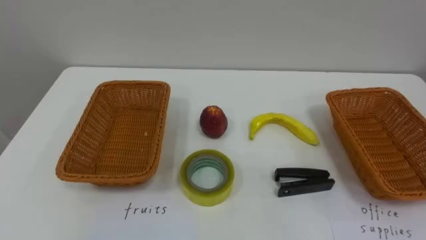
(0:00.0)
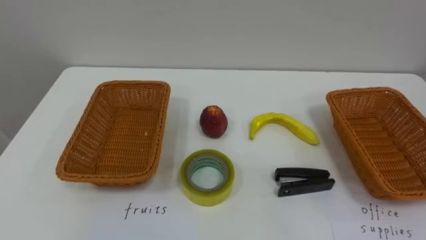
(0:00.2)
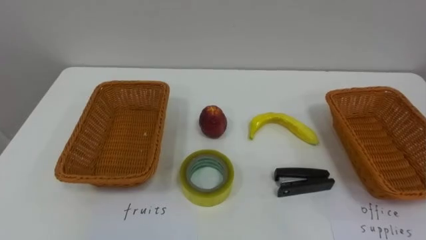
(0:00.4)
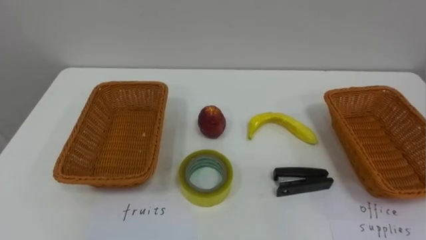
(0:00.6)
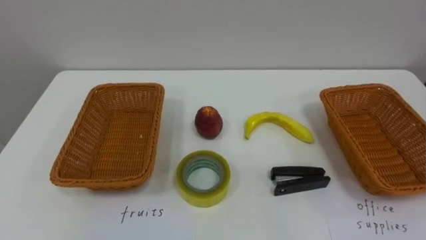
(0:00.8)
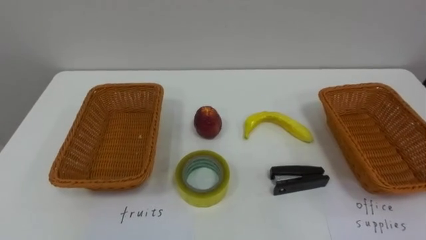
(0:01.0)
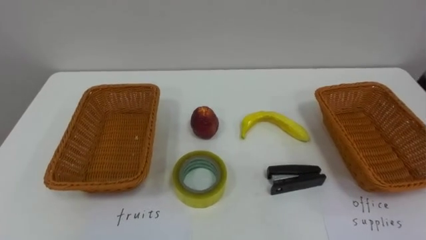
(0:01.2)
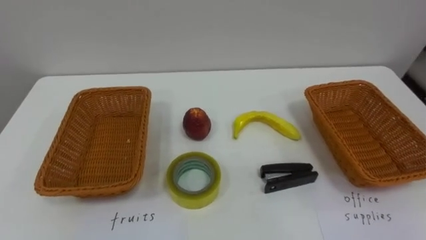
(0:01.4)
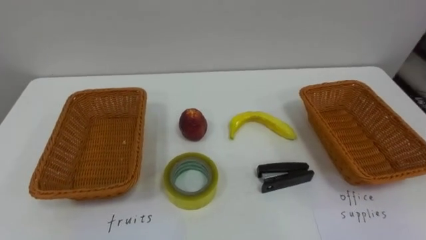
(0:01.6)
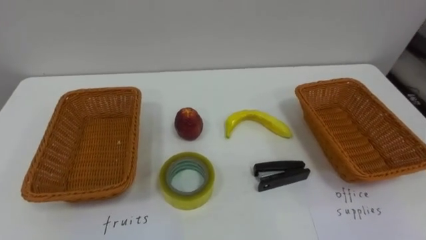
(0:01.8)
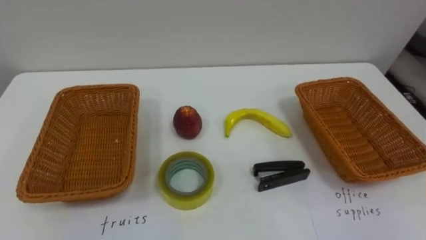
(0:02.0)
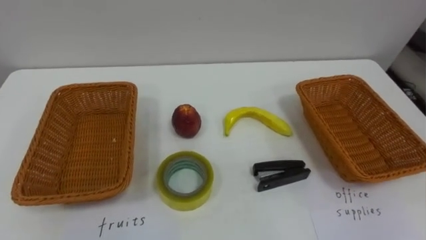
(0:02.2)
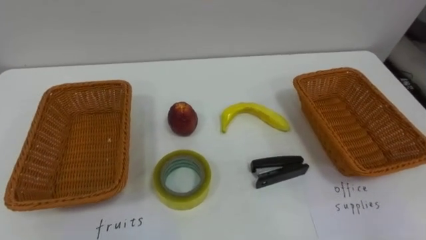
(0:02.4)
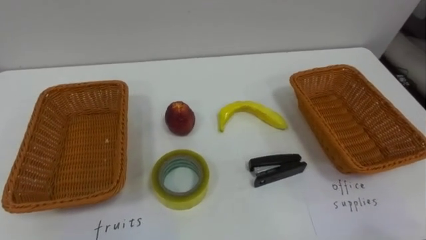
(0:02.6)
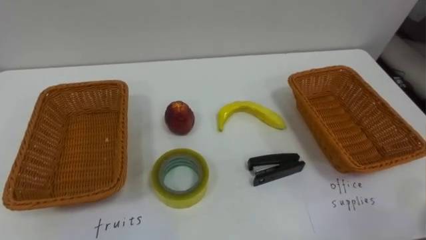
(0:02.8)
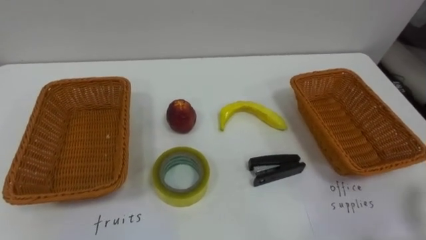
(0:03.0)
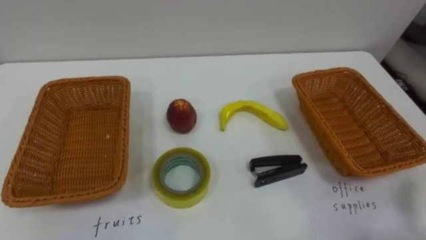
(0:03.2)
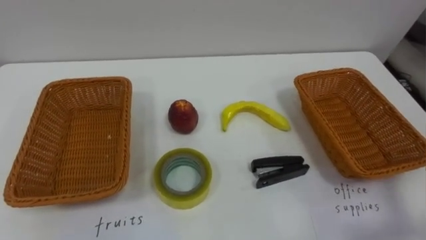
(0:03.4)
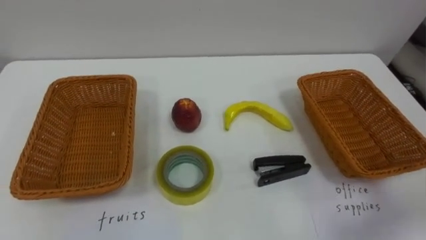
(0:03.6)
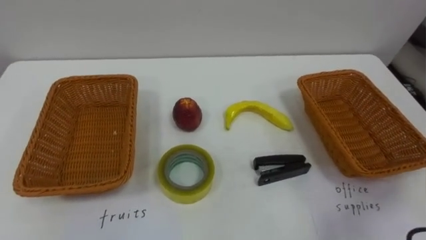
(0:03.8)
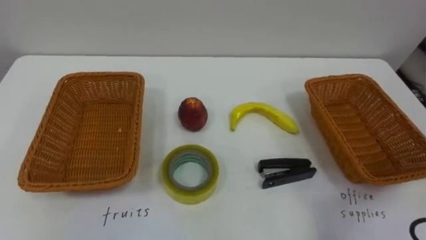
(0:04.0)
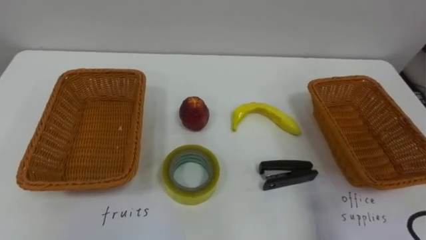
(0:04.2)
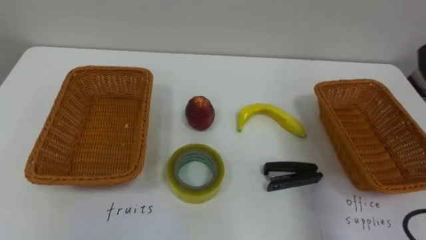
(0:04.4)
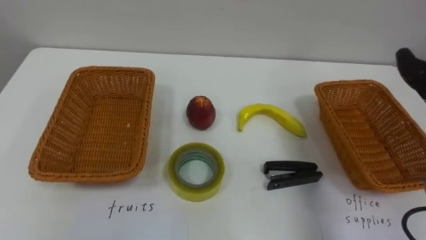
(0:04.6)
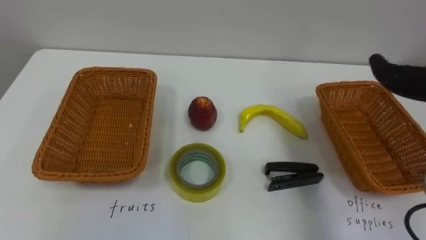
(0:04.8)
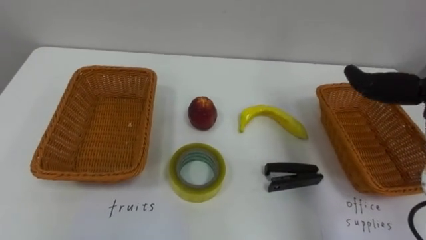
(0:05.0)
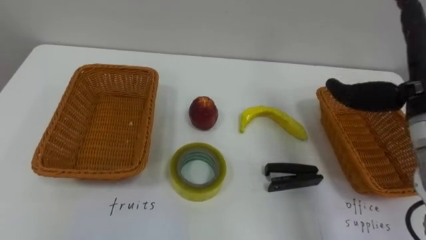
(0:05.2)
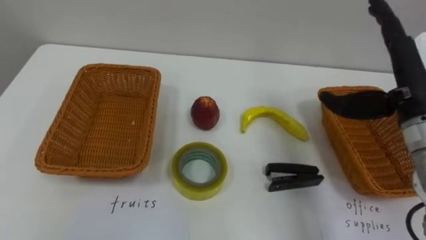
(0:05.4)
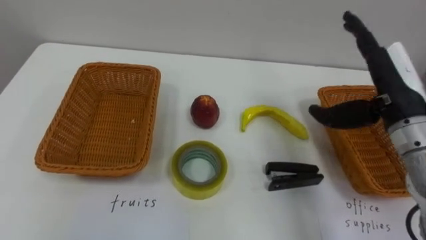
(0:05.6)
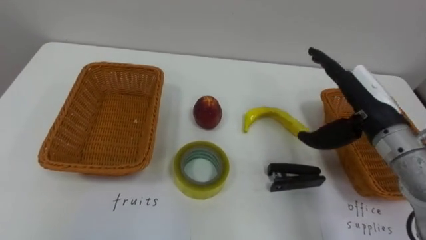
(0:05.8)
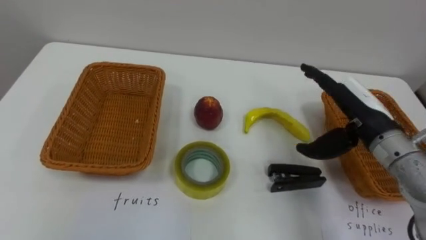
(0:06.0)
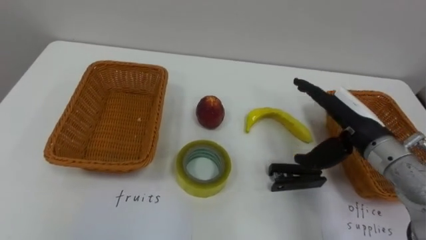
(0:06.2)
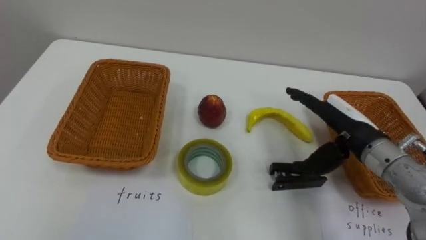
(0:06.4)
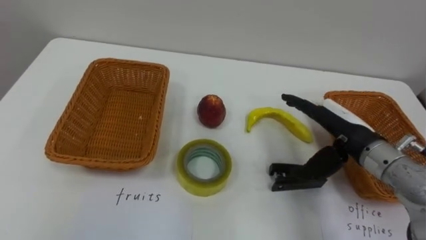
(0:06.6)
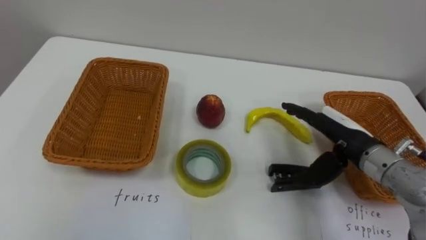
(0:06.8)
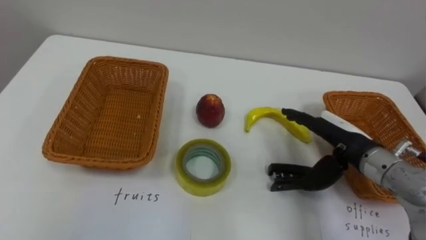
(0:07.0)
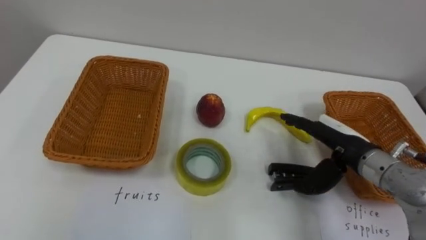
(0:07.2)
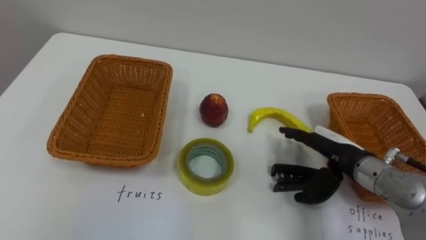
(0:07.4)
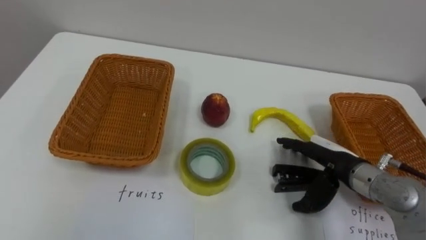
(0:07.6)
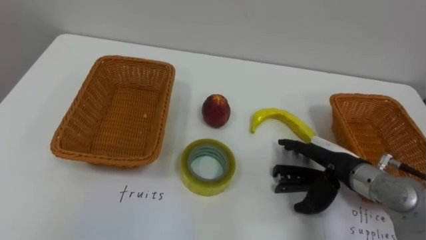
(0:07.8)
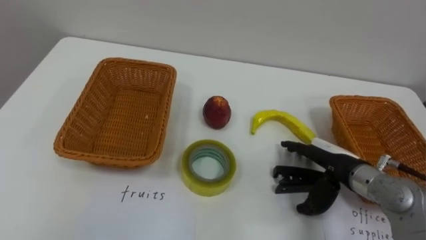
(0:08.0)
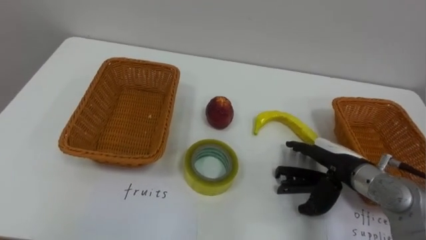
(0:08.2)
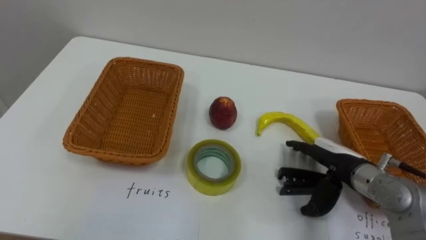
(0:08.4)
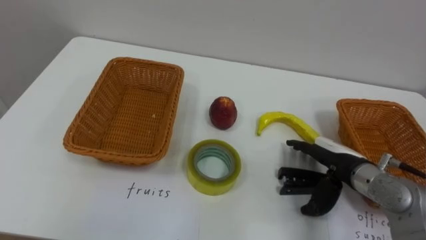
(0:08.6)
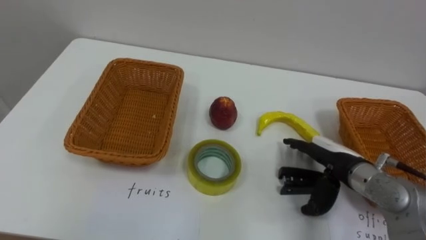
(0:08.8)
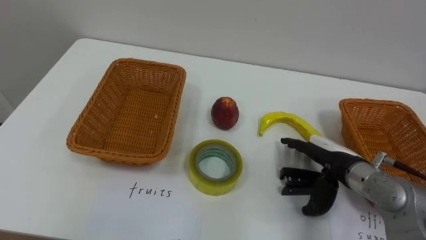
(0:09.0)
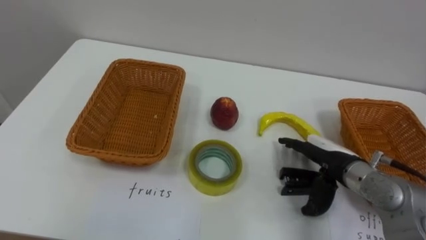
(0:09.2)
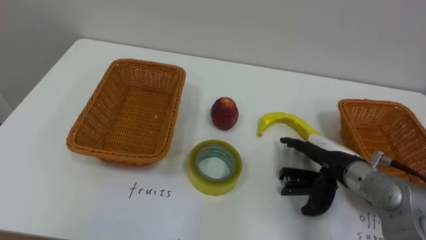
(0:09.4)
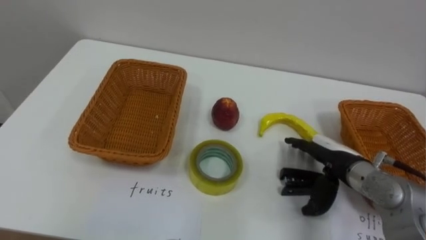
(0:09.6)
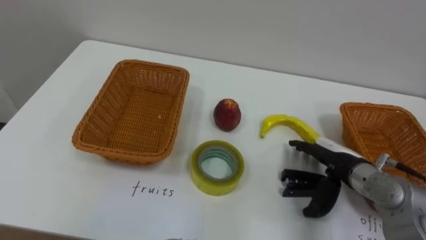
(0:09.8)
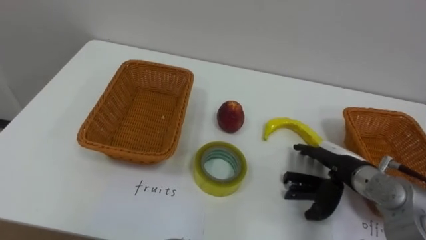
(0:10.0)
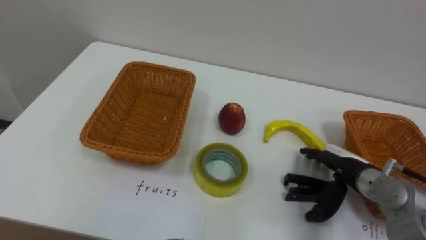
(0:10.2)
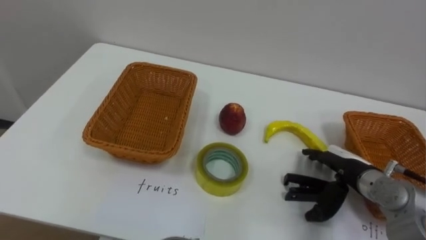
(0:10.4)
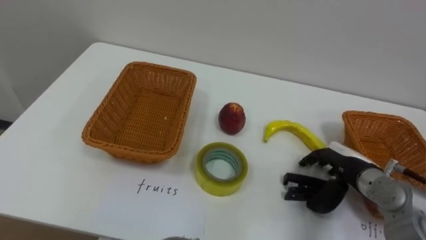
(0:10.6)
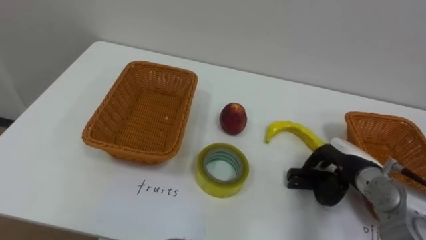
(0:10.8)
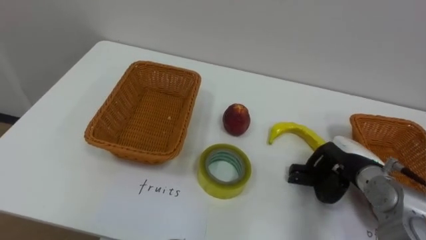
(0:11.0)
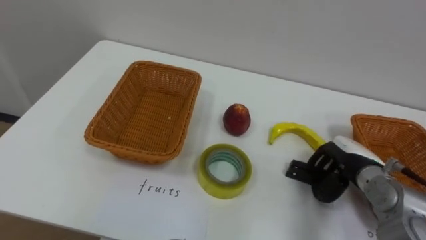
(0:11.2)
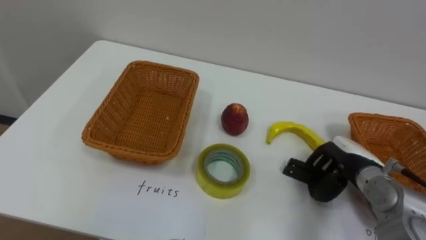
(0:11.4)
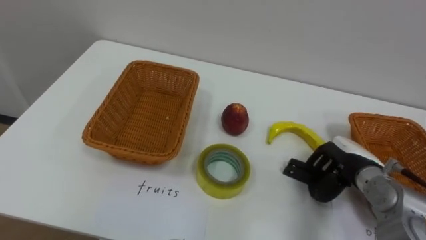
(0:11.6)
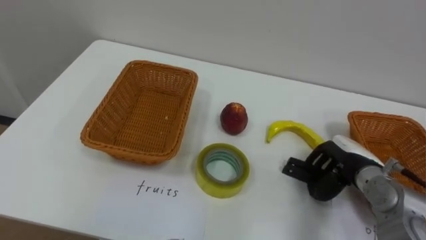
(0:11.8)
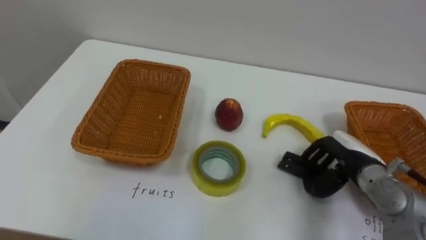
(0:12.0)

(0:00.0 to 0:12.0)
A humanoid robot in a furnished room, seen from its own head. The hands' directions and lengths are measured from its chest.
Task of the whole recording: Separate the items on the table and place them into the two baskets.
0:06.0 - 0:07.6: The right hand is displaced downward by roughly 10 cm.
0:09.0 - 0:10.4: The right hand moves some 5 cm.
0:10.4 - 0:12.0: The right hand closes.

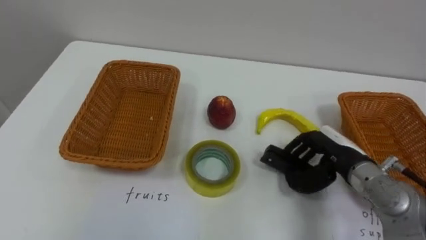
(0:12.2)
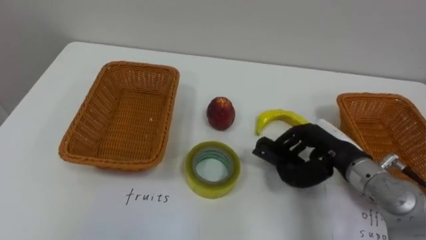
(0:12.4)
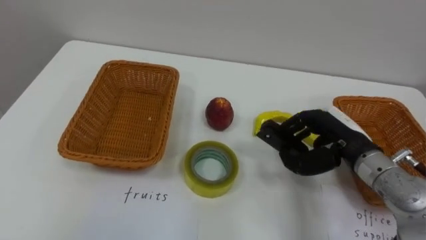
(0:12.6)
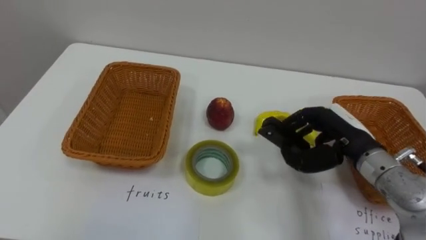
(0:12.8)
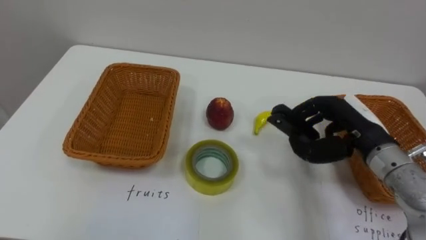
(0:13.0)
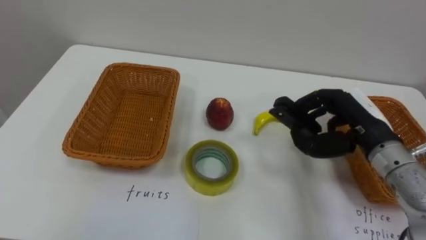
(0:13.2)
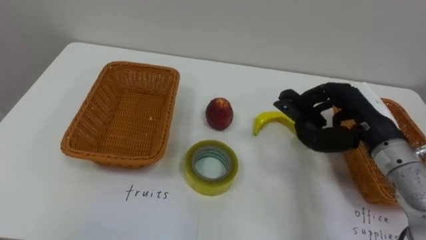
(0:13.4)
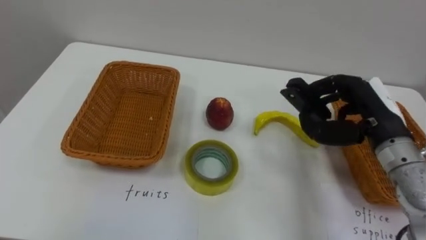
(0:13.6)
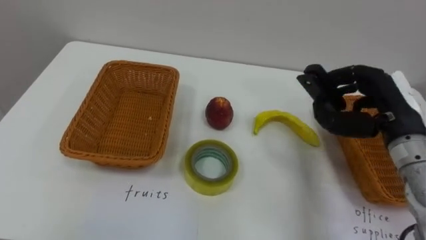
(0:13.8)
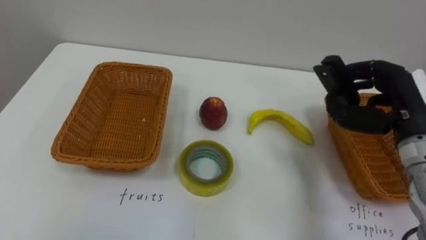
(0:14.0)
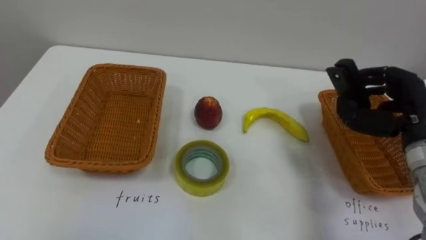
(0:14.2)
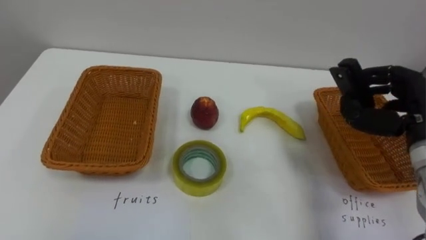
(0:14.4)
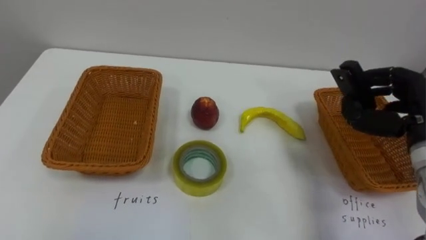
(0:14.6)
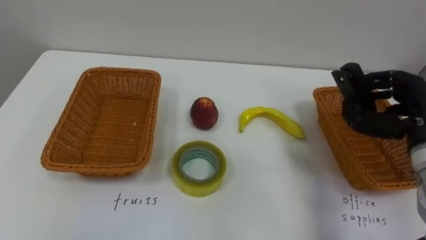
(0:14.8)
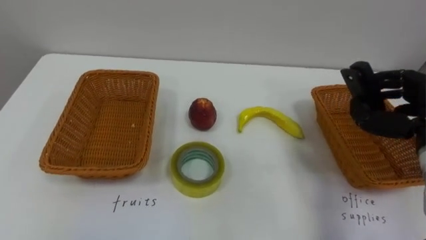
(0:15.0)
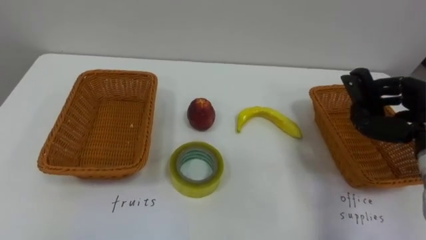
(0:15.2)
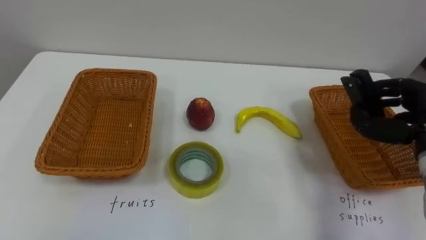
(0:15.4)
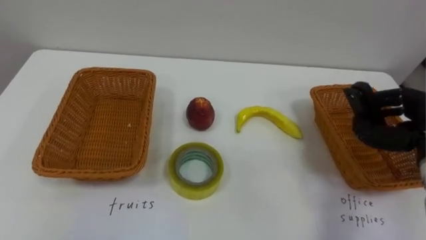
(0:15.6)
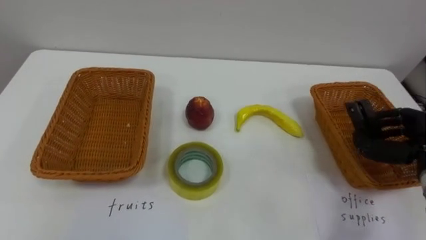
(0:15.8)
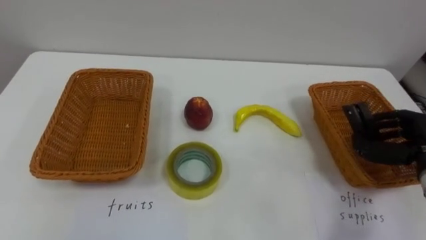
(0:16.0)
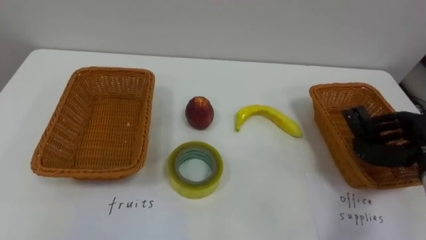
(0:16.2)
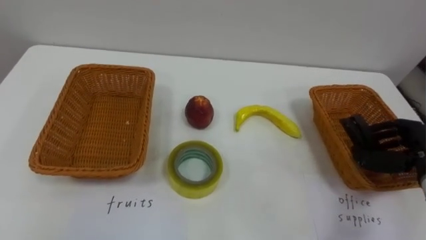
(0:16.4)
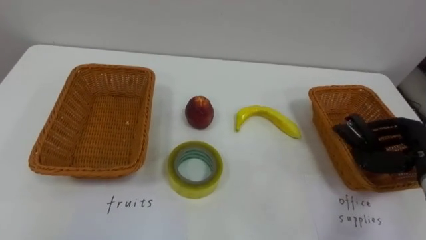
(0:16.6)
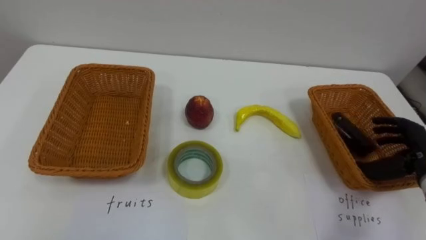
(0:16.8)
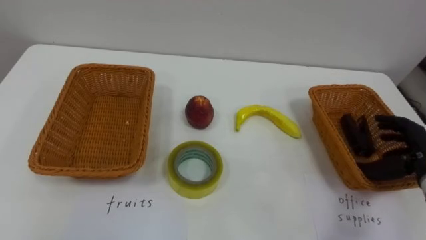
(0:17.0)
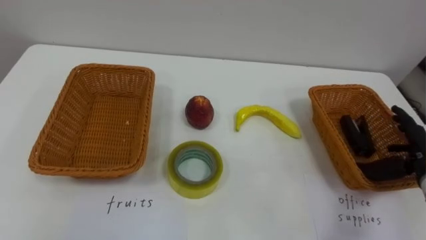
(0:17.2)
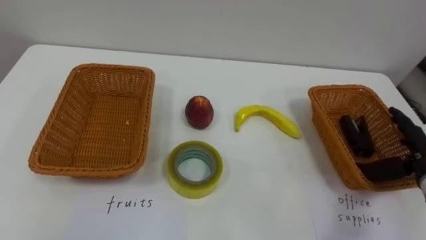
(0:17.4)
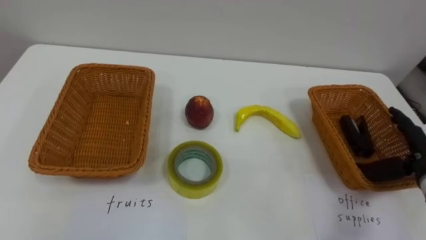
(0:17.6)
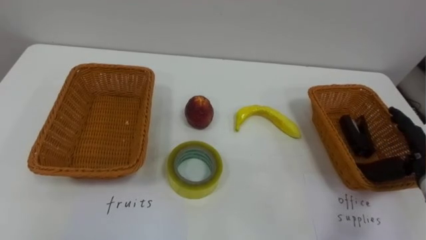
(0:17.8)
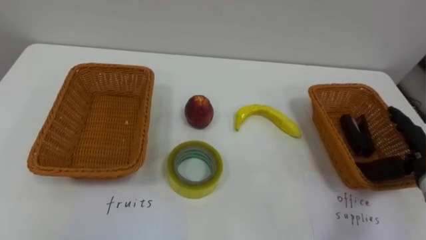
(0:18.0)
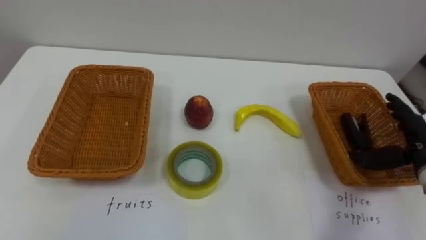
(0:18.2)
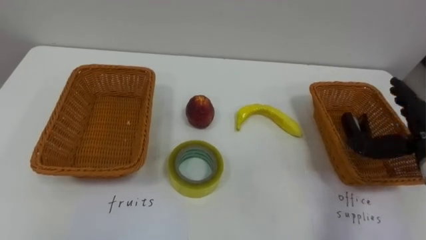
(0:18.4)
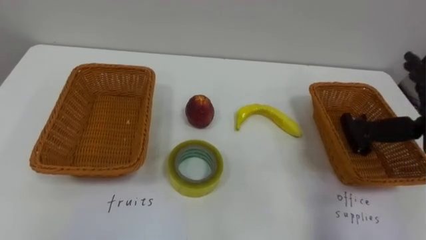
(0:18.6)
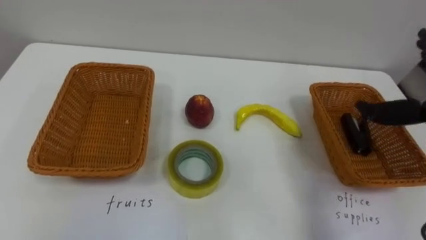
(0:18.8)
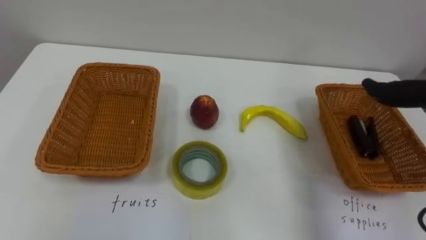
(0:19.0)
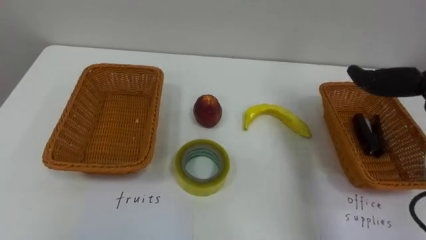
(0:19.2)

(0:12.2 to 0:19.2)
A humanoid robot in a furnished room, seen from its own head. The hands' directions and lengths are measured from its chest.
Task of the whole recording: Separate the items on the table and place them into the two baskets.
0:12.2 - 0:13.6: The right hand is displaced upward by approximately 10 cm.
0:16.4 - 0:17.8: The right hand opens.
